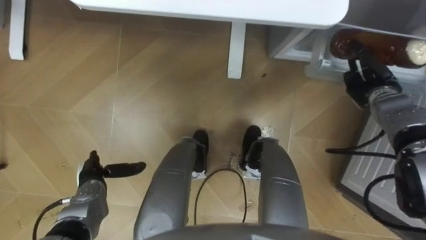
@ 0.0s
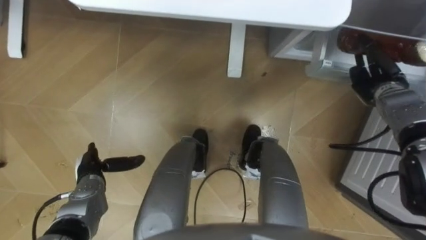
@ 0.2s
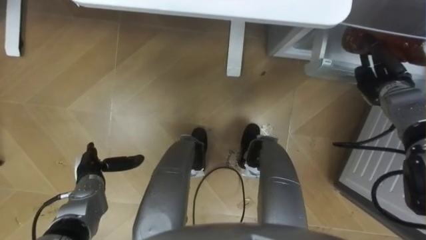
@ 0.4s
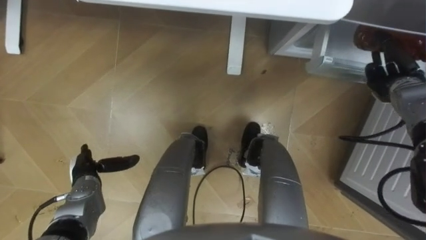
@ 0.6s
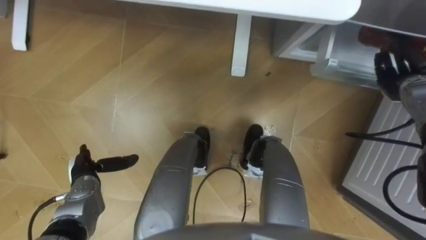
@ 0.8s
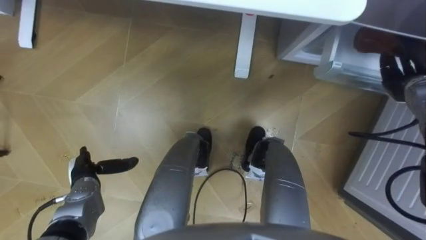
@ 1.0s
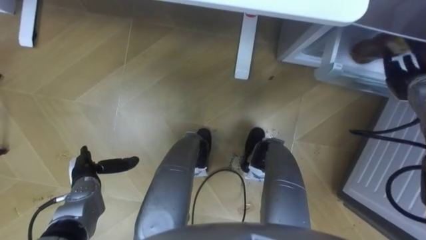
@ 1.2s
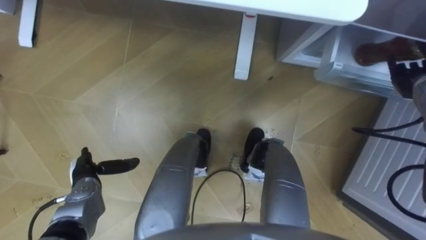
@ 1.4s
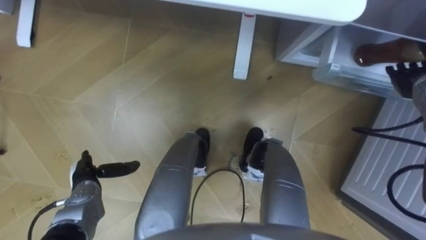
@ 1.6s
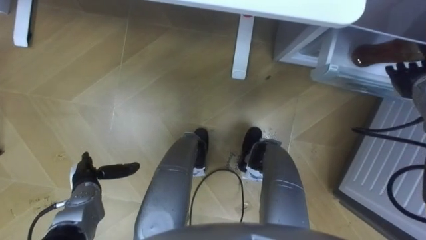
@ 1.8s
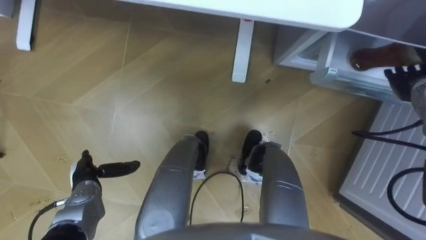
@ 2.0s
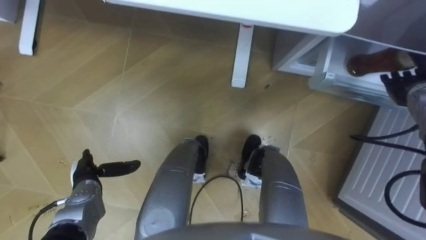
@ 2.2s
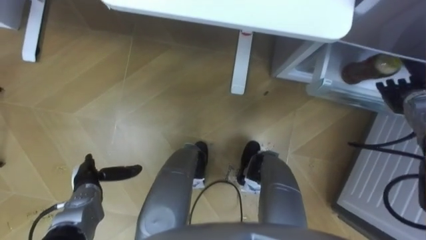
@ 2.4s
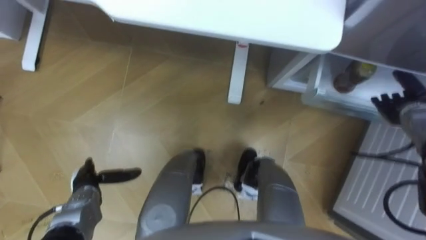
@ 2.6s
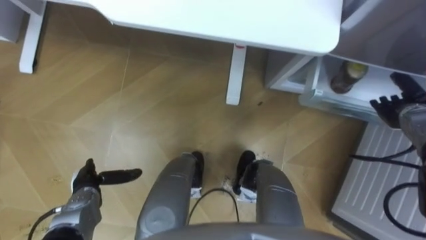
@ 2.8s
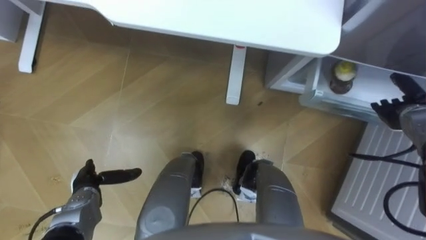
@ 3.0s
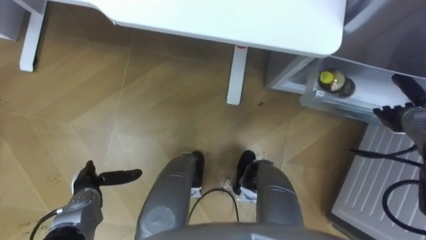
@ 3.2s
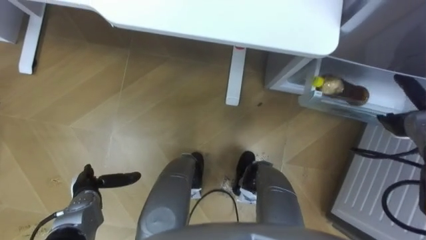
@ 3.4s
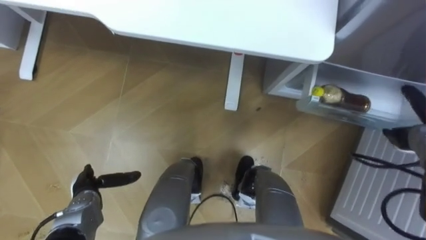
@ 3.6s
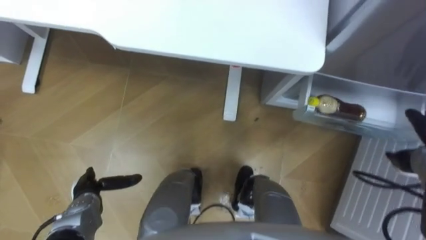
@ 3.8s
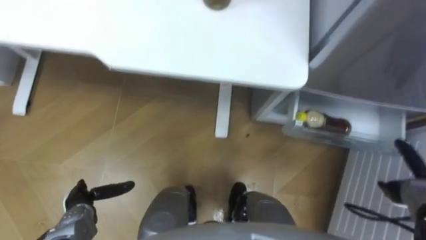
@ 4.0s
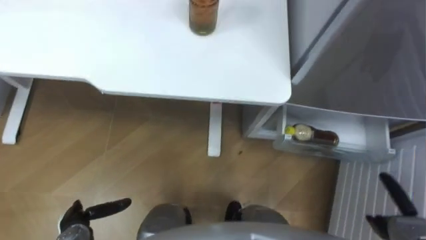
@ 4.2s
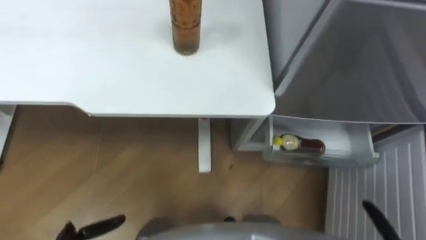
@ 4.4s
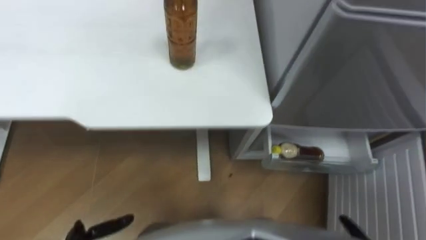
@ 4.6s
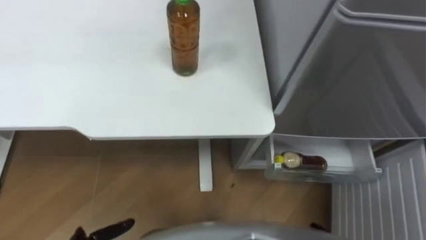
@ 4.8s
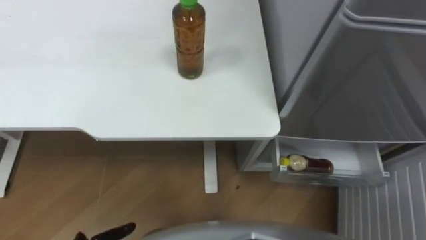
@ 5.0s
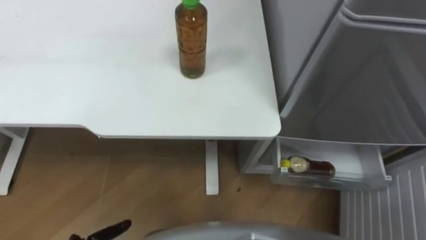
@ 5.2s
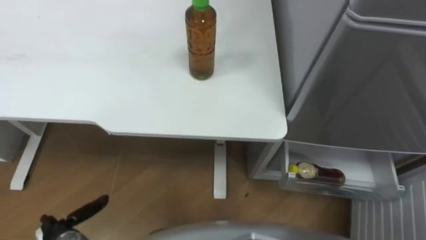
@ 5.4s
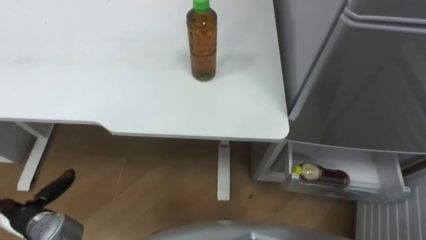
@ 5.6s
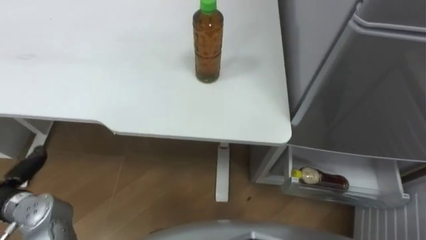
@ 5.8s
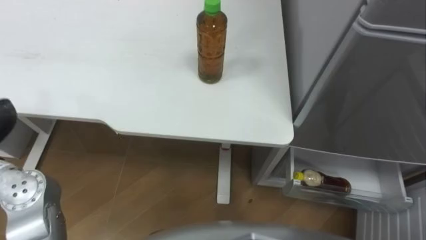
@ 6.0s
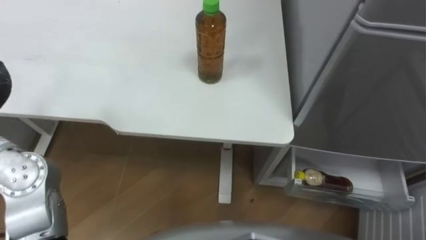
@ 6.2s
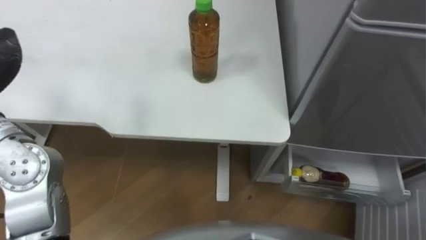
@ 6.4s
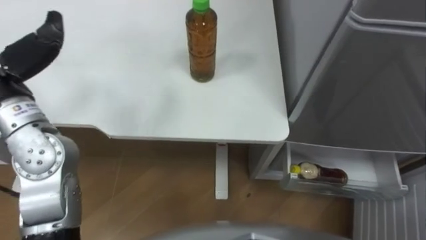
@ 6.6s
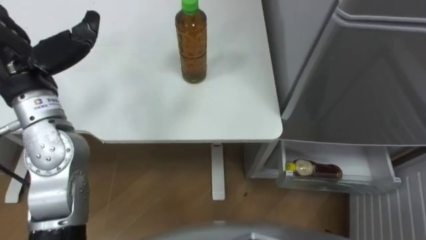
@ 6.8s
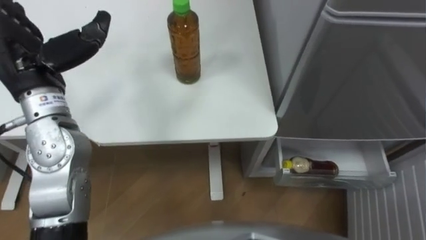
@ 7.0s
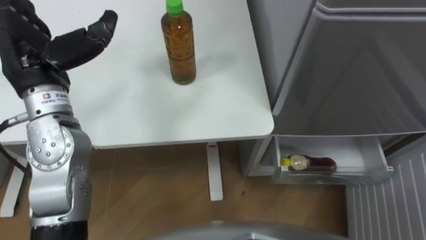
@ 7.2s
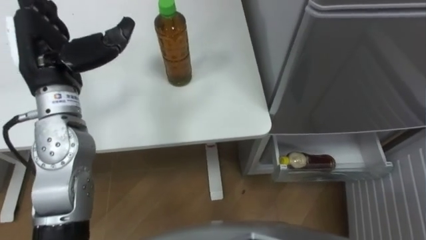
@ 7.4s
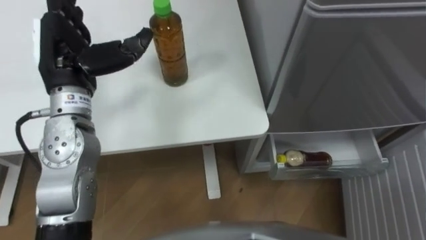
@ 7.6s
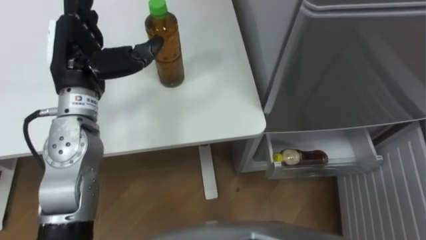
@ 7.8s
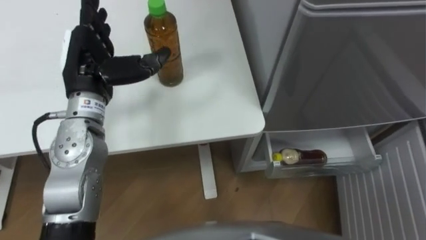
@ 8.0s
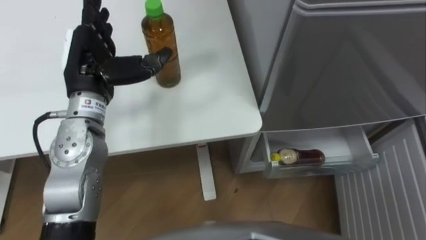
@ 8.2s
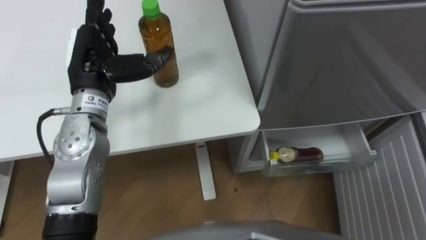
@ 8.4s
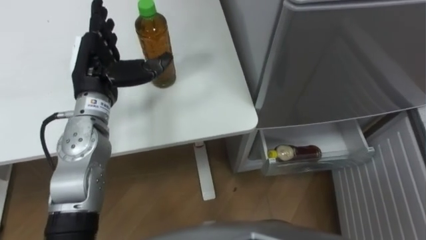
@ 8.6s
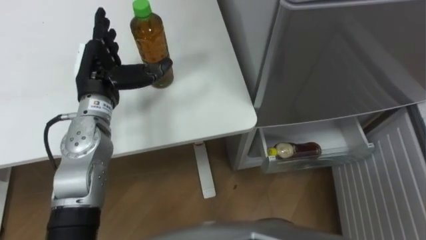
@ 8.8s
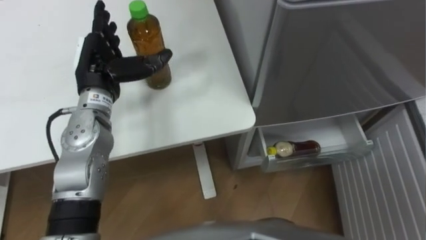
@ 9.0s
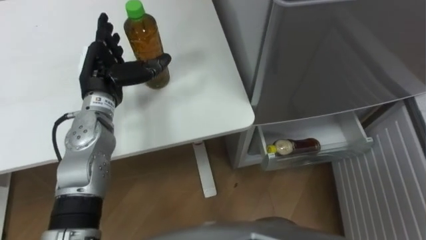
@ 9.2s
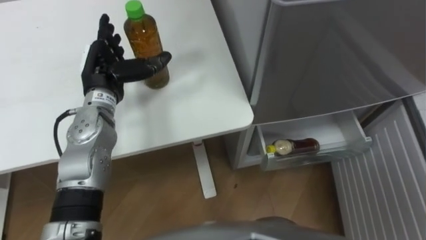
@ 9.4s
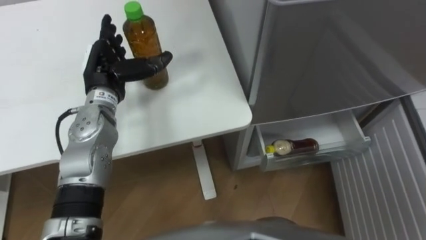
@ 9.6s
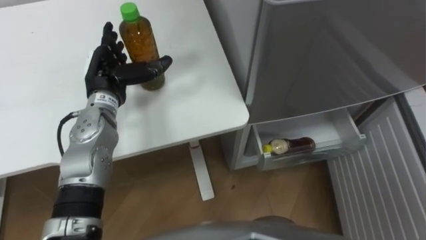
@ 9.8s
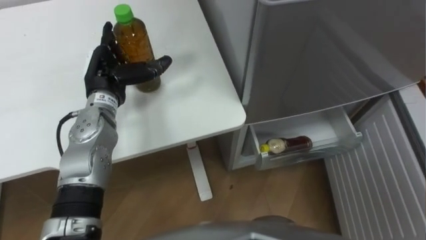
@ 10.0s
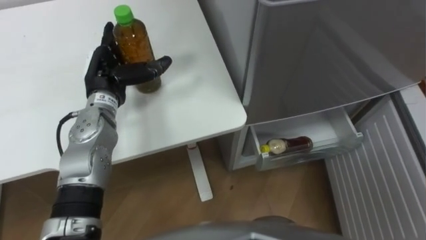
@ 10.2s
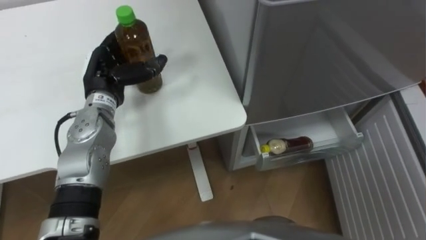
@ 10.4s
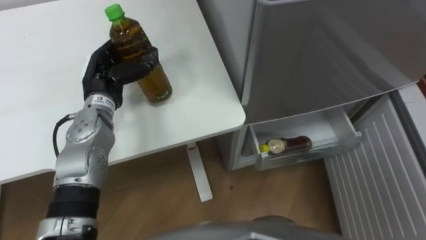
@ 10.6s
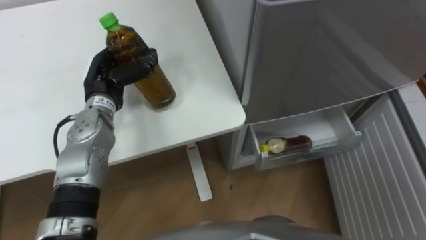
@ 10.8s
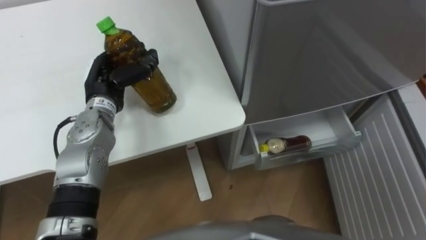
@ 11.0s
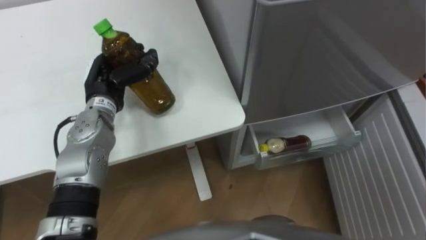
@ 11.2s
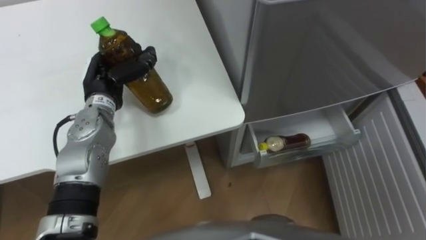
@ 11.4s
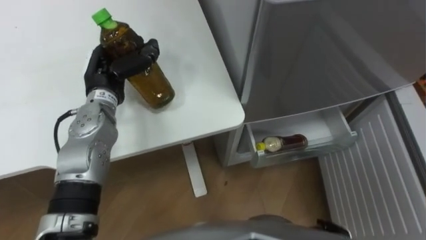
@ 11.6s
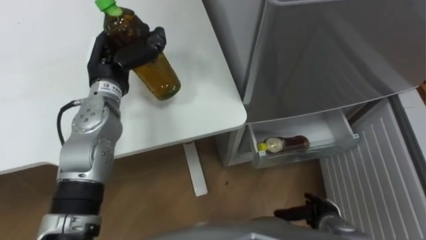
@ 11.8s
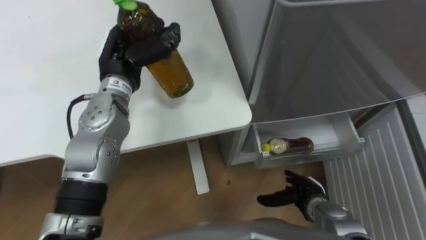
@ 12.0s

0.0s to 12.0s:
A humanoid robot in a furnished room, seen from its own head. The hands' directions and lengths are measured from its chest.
Task of the whole recording: Place the drink on the table on the bottom shelf of the refrigerator, then close the drawer and the refrigerator door.
0.0s to 1.6s: The right hand shifts about 5 cm to the right, and opens up.
1.6s to 3.0s: The right hand heads downward, covering about 5 cm.
7.6s to 9.0s: The left hand shifts some 5 cm downward.
10.4s to 12.0s: The left hand ends up some 5 cm from where it was, and closes up.

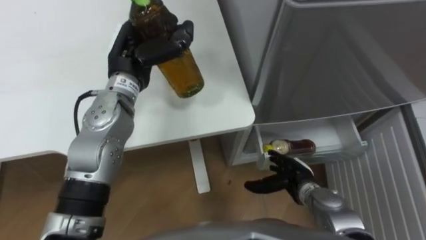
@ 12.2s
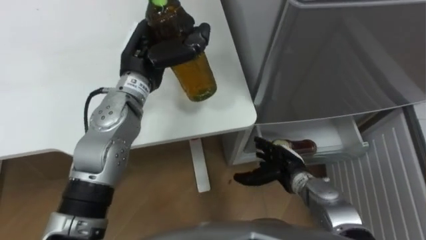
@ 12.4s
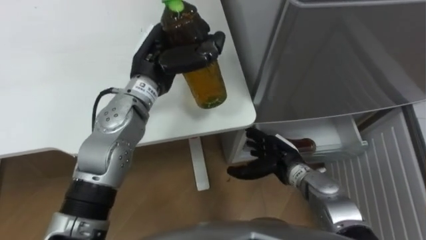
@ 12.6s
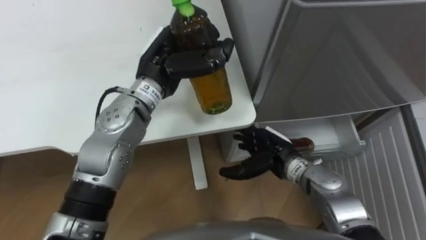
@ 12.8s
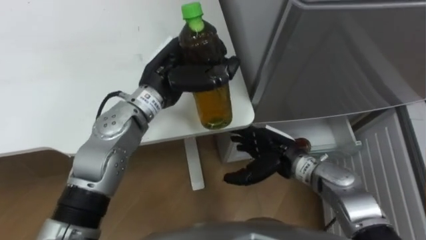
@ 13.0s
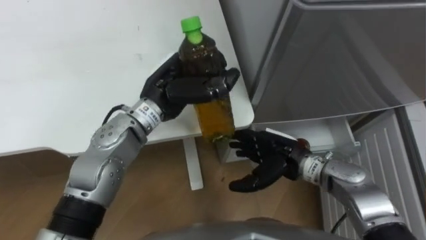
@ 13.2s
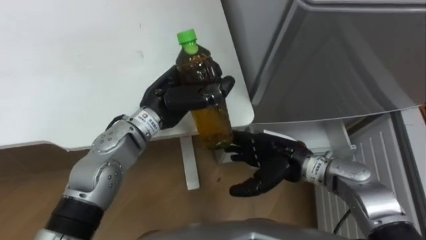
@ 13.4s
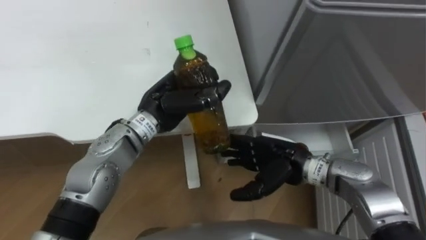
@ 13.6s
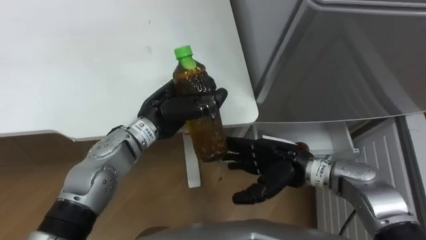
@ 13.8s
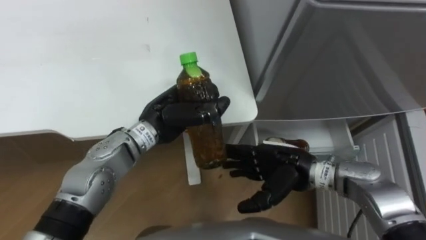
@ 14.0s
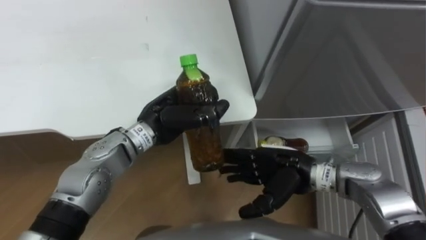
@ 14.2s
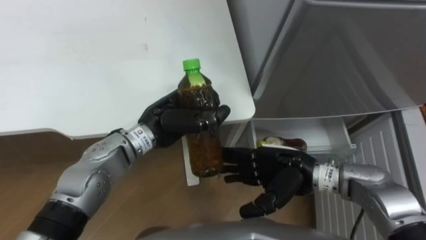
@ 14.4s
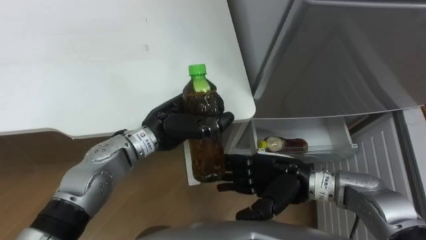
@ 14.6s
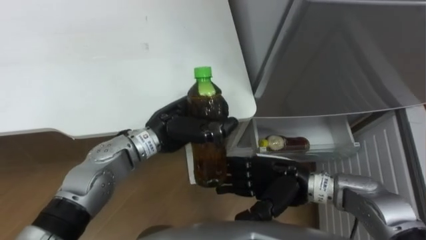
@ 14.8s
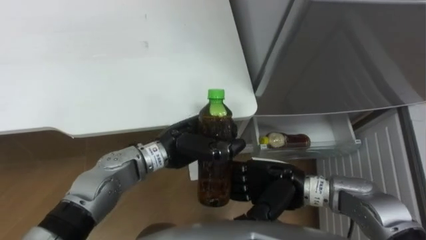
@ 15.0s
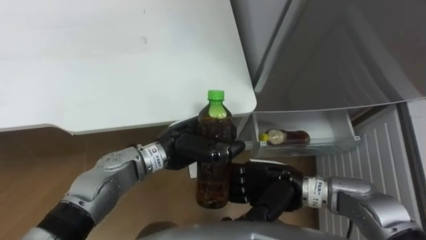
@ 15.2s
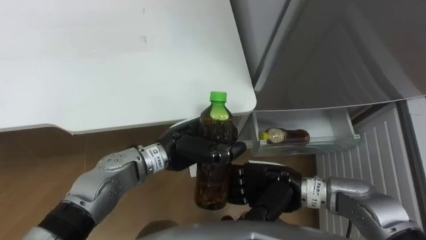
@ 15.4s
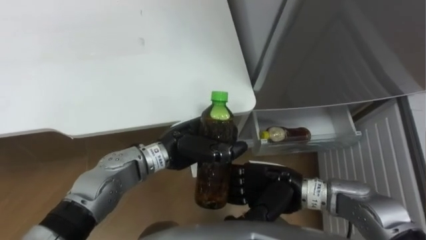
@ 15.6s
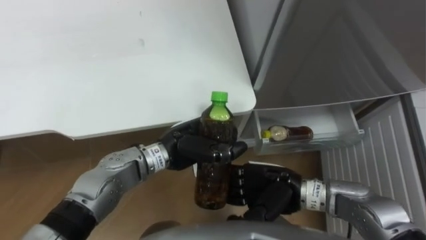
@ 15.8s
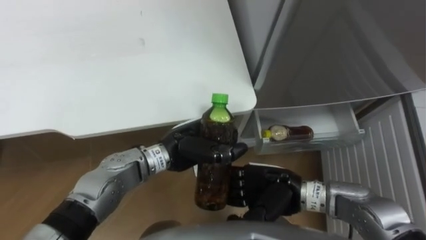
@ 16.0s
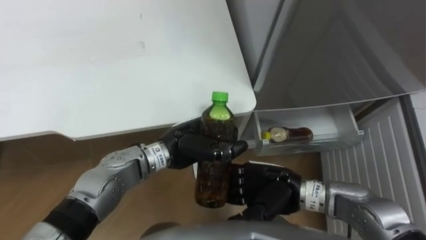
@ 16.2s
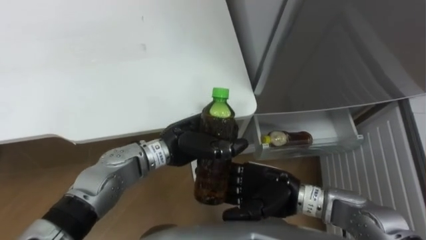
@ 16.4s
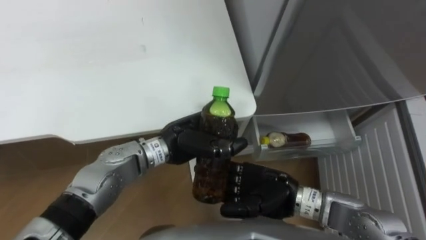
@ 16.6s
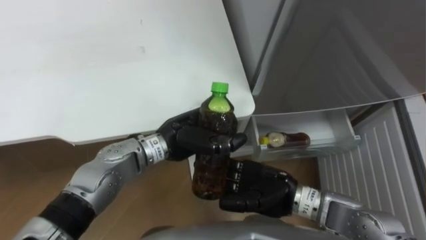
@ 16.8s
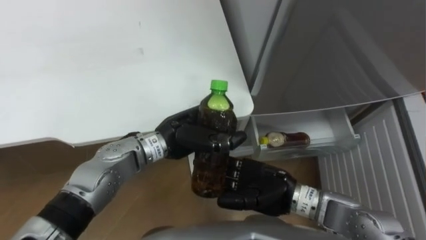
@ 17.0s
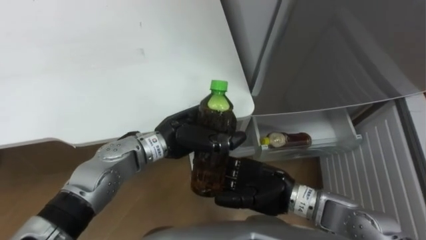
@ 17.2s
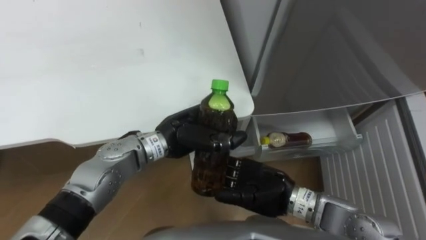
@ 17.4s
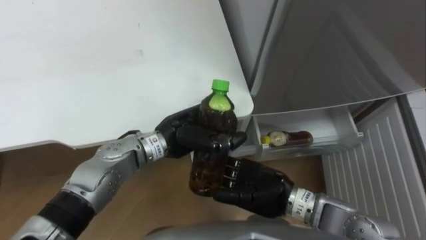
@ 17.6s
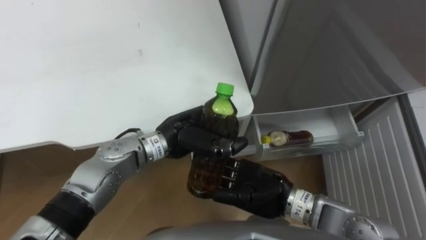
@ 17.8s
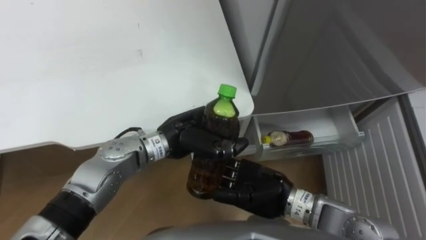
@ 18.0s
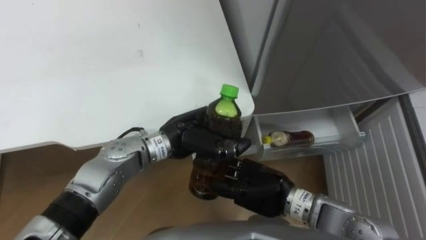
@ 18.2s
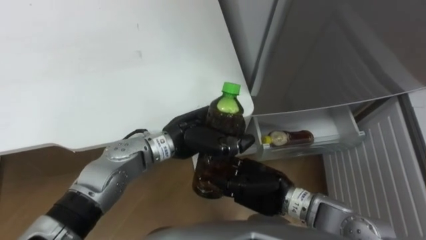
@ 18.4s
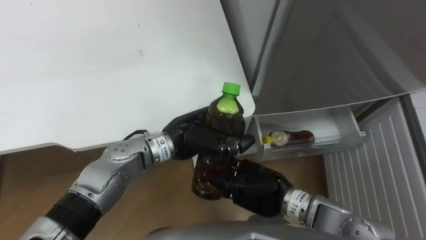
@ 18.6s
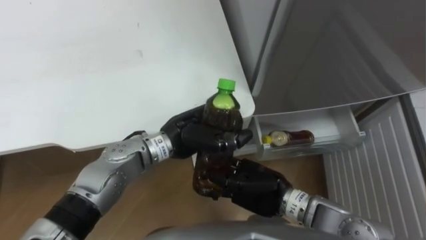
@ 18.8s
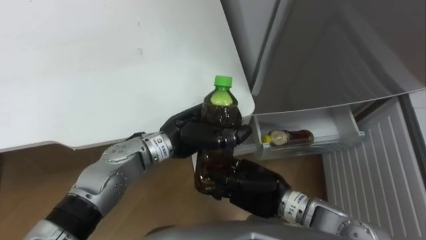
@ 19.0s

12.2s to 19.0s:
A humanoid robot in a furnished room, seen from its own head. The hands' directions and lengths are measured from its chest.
Task of the whole recording: Place the drink on the table on the bottom shelf of the refrigerator, then close the drawer and the refrigerator door.
12.2s to 13.6s: The left hand travels to the right and backward by about 10 cm. The right hand travels upward and to the left by some 10 cm.
13.6s to 15.0s: The left hand goes about 10 cm backward and downward.
17.6s to 19.0s: The right hand closes.
